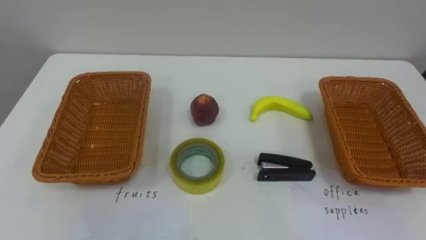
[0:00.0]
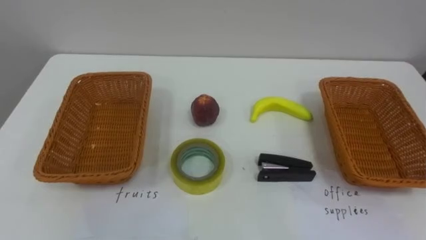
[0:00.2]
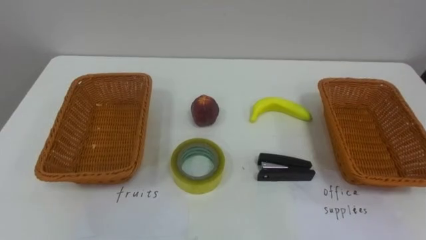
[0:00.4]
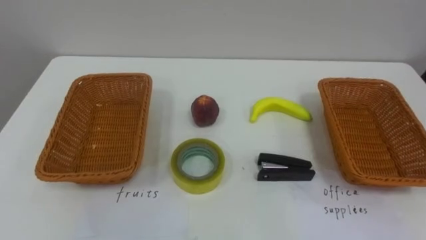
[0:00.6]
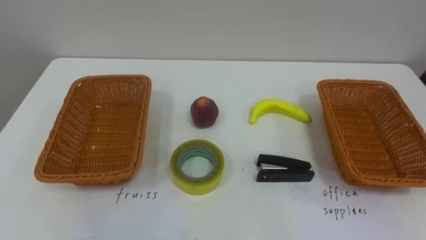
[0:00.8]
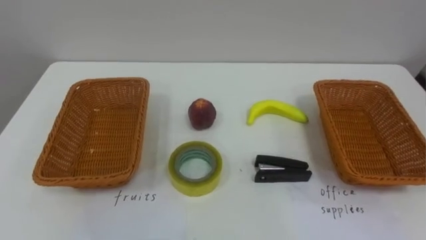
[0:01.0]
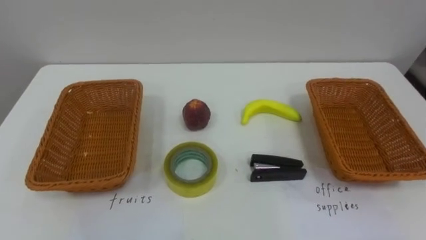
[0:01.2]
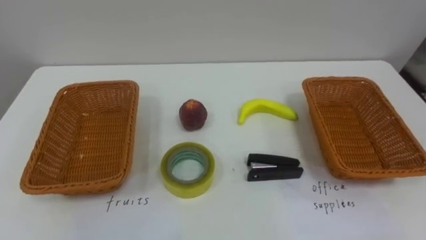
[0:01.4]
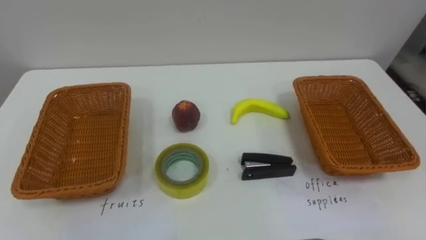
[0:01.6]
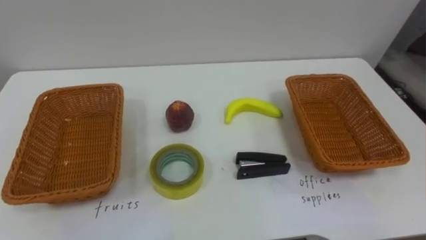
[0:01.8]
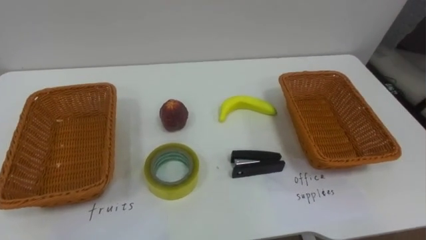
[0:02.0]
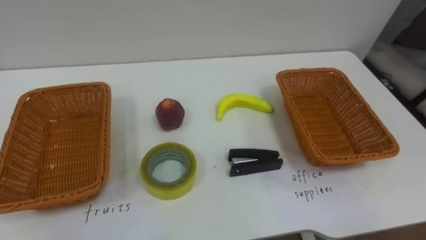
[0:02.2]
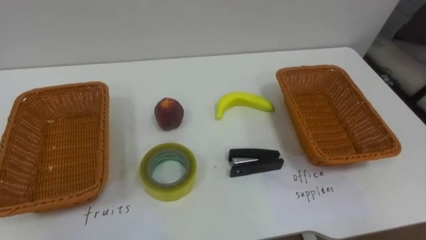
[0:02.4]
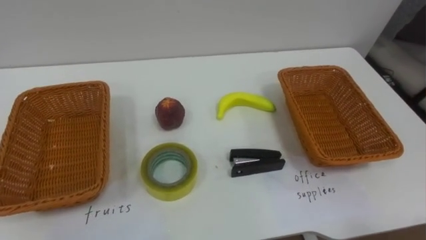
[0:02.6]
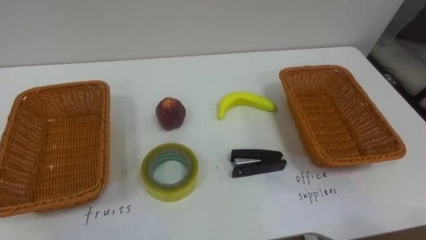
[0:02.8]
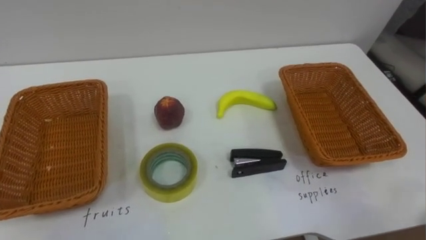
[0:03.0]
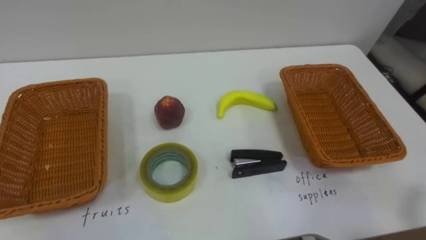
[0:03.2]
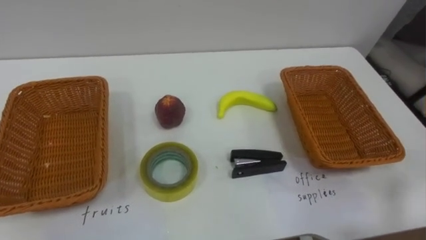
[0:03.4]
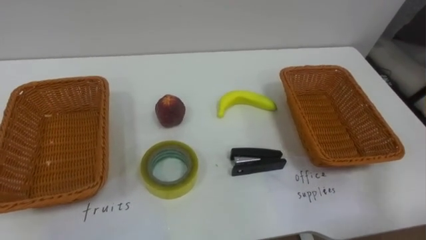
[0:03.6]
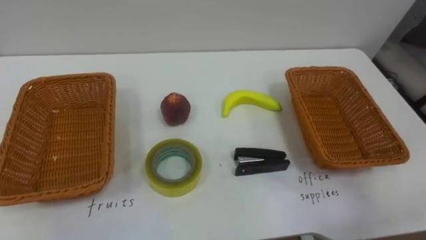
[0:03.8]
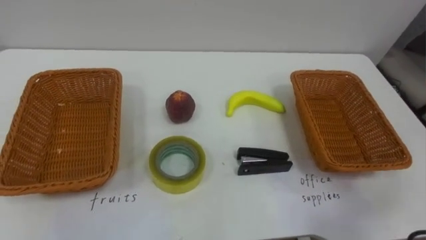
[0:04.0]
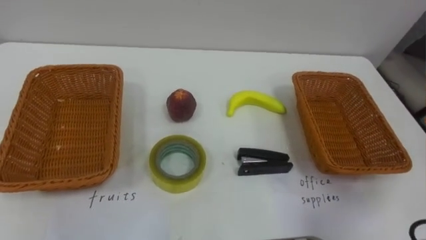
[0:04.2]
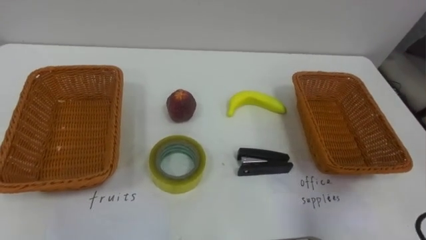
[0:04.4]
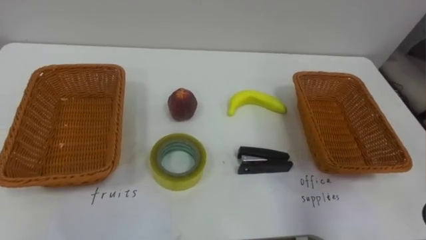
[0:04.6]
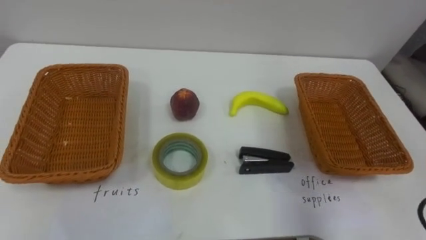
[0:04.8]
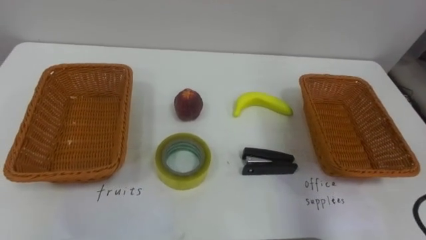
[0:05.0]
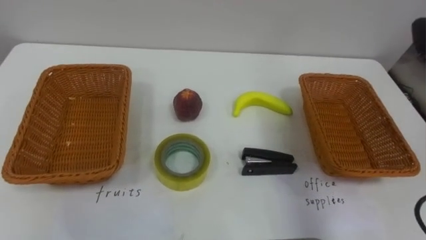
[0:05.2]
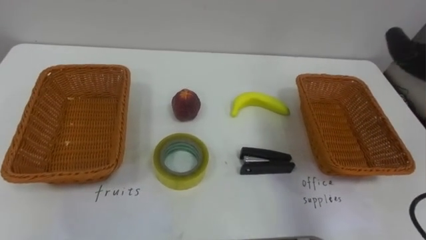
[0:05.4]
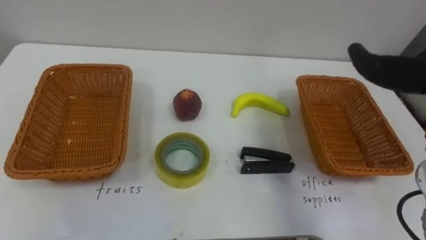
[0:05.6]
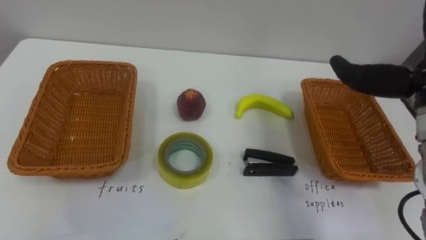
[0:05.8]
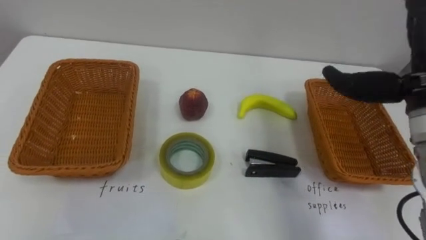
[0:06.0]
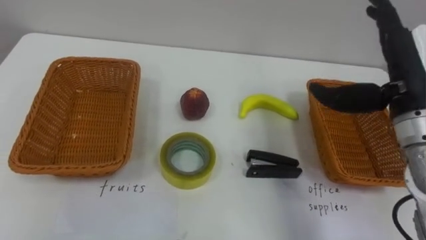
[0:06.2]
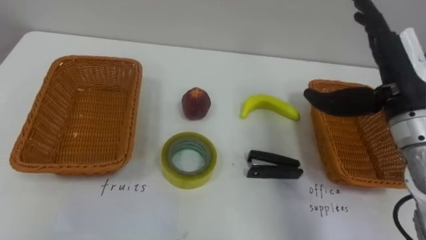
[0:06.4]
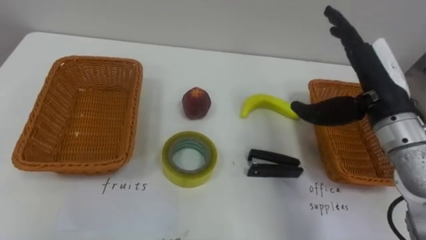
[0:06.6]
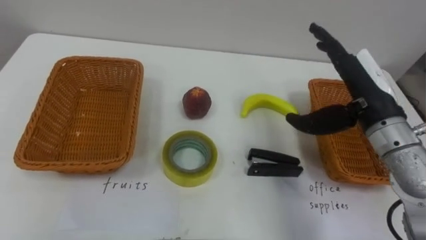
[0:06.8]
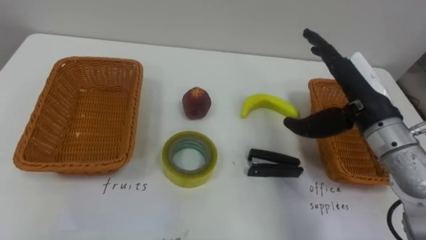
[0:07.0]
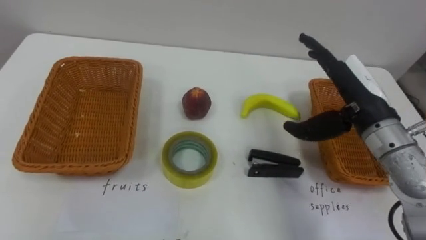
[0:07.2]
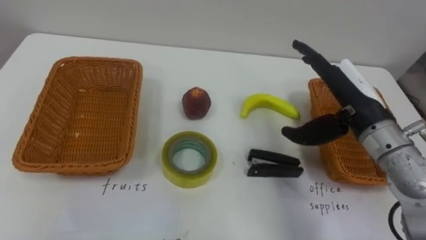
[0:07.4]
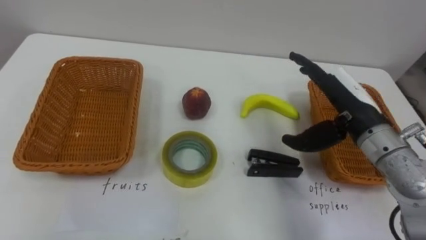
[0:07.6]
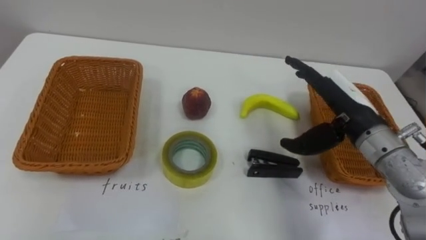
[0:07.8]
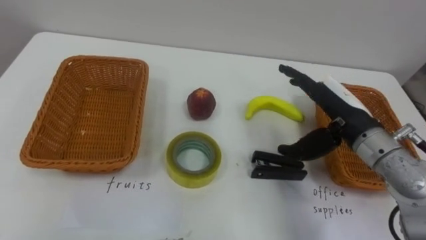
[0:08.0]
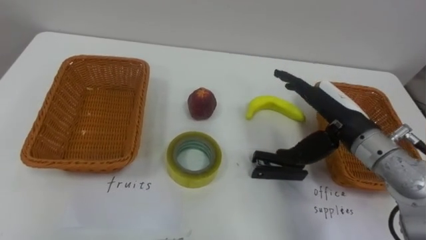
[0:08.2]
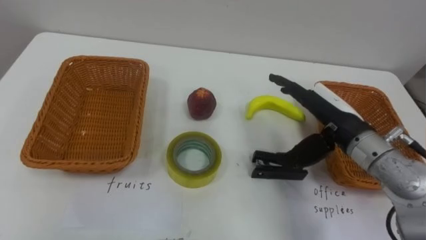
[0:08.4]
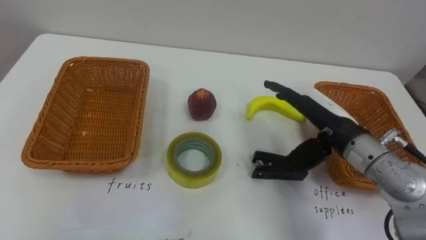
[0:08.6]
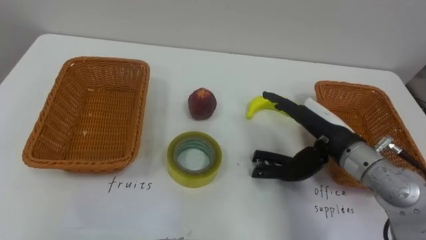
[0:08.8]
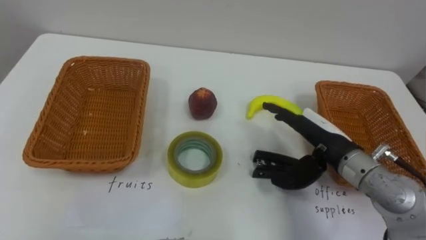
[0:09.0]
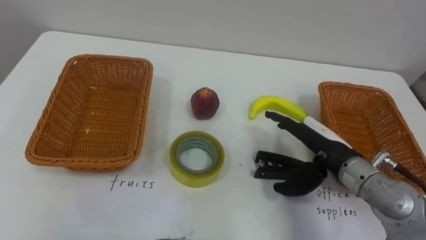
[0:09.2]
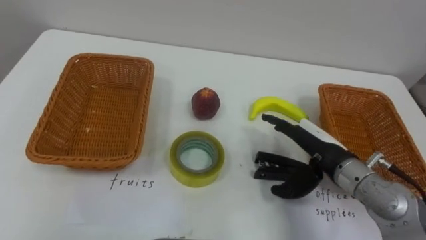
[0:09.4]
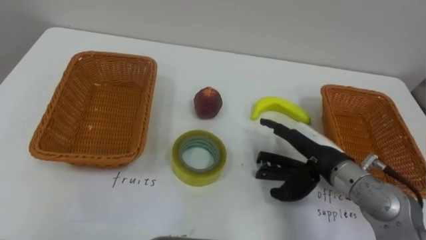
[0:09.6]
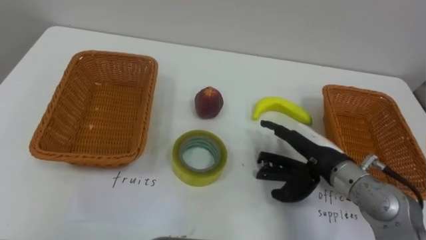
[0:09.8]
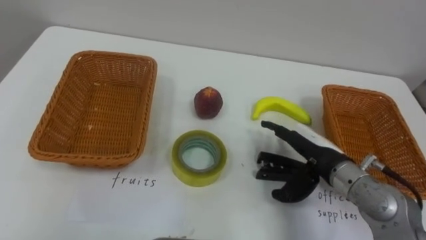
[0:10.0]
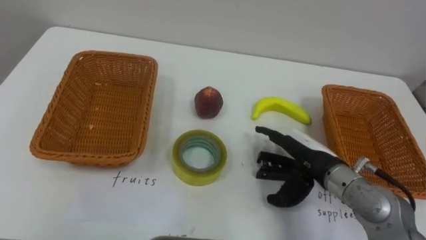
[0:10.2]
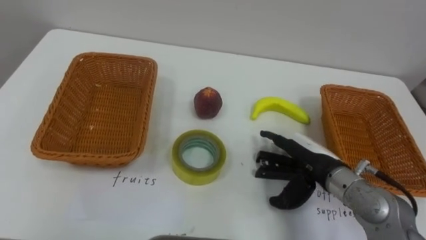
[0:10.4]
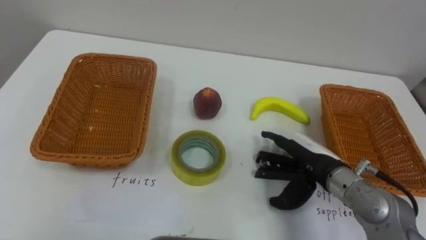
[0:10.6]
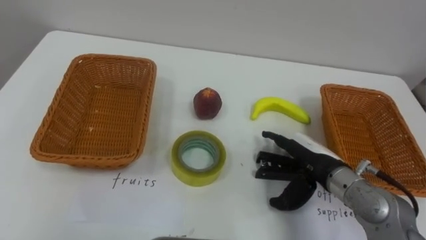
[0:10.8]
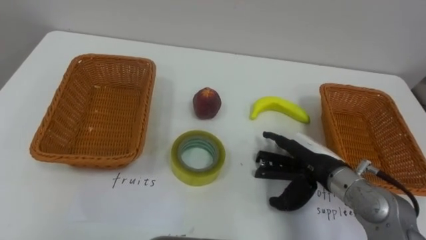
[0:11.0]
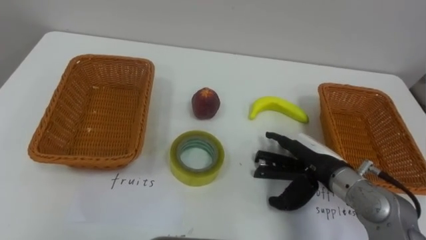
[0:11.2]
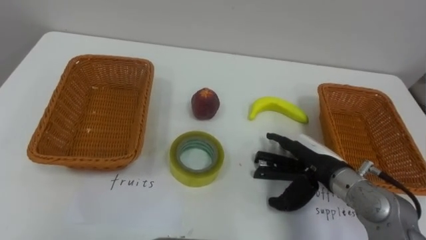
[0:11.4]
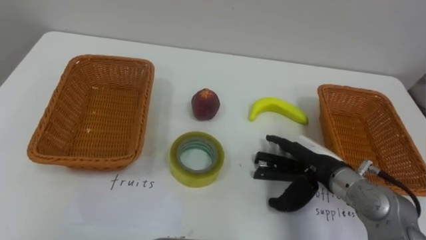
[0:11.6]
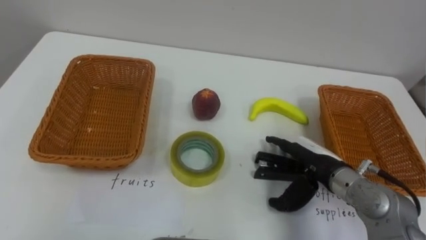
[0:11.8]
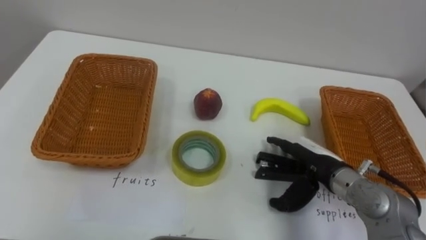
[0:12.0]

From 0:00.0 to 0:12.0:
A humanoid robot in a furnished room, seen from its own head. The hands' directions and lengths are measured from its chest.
Task of the whole recording: Separate the items on the table and place them into the two baskets.
From 0:06.0 to 0:07.6: The right hand heads downward and to the left, covering about 10 cm.
From 0:07.6 to 0:09.0: The right hand moves downward, some 5 cm.

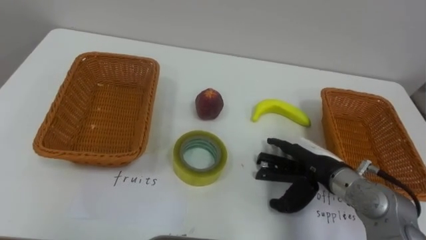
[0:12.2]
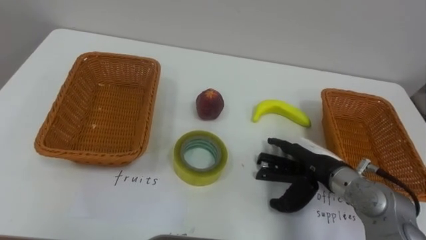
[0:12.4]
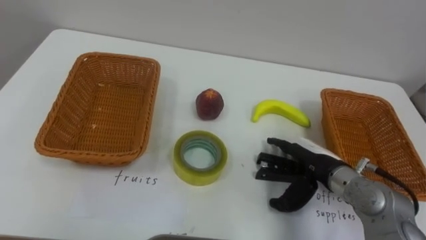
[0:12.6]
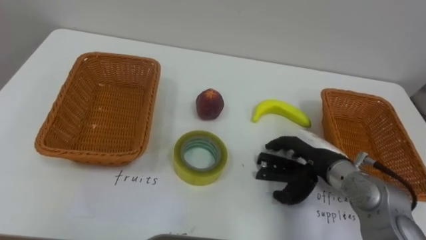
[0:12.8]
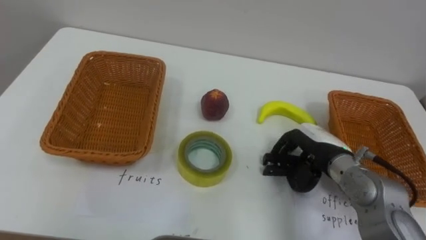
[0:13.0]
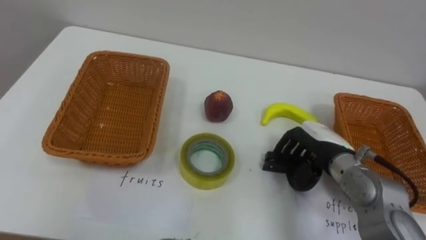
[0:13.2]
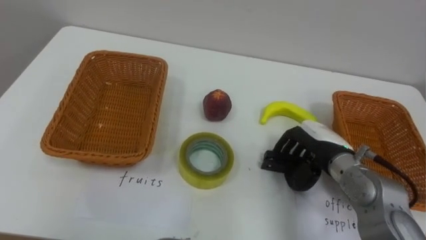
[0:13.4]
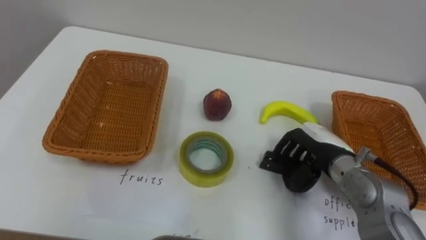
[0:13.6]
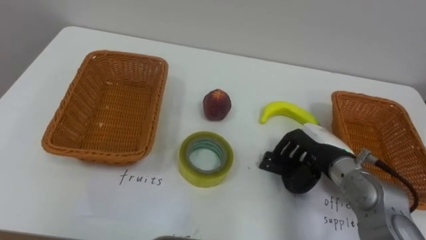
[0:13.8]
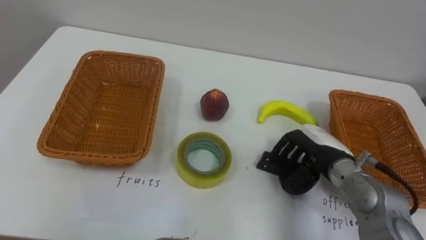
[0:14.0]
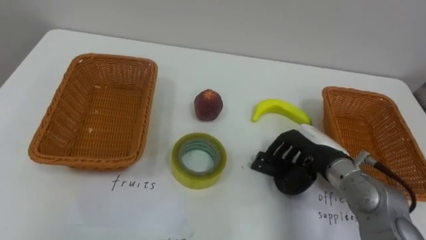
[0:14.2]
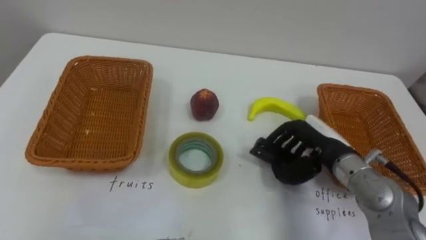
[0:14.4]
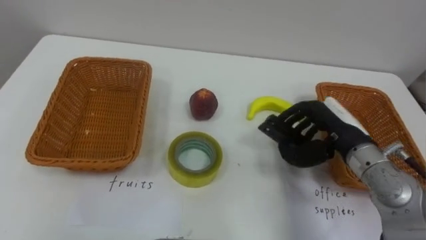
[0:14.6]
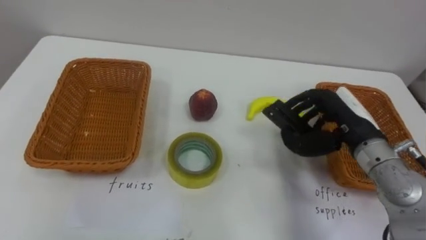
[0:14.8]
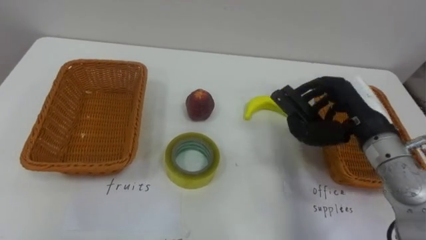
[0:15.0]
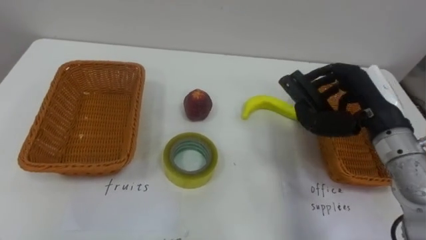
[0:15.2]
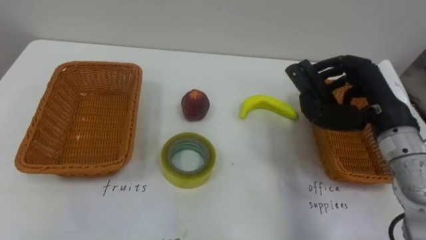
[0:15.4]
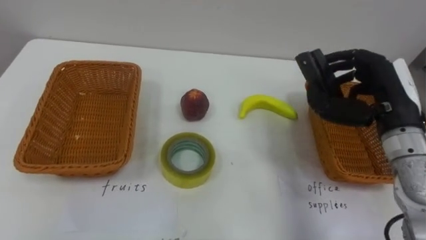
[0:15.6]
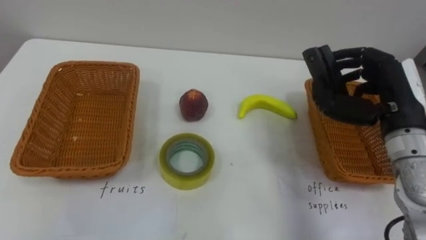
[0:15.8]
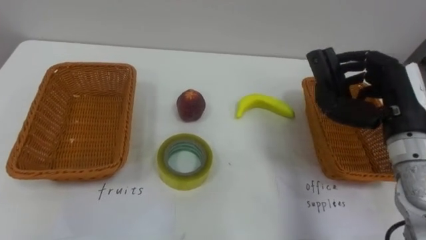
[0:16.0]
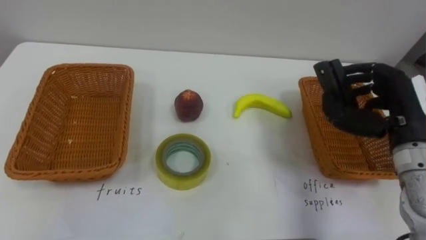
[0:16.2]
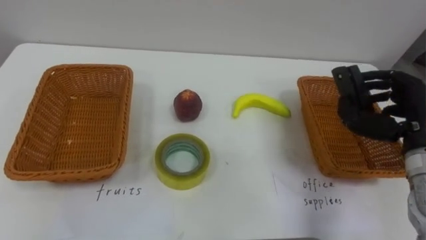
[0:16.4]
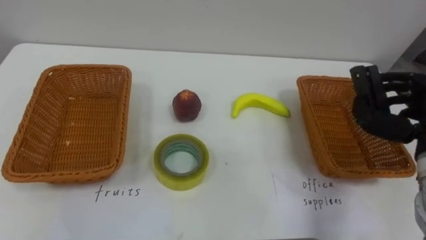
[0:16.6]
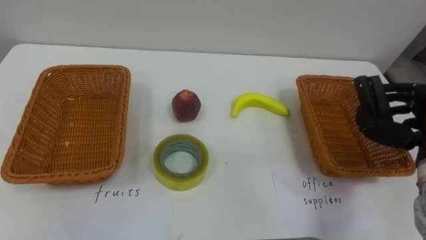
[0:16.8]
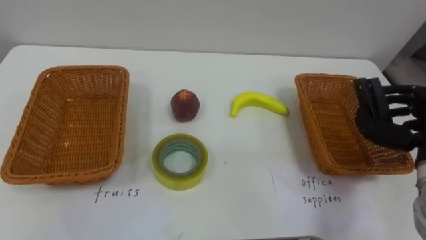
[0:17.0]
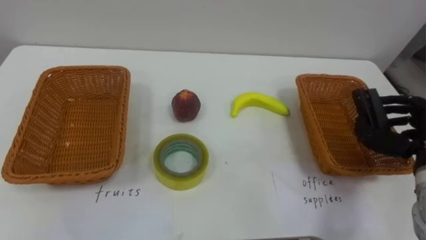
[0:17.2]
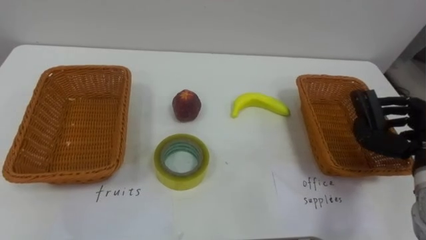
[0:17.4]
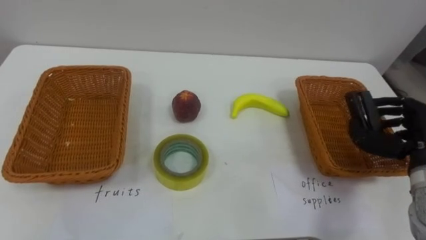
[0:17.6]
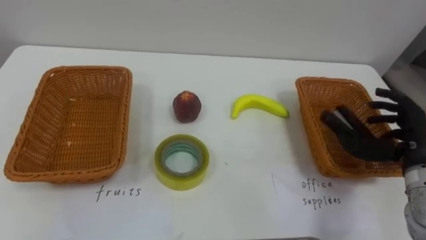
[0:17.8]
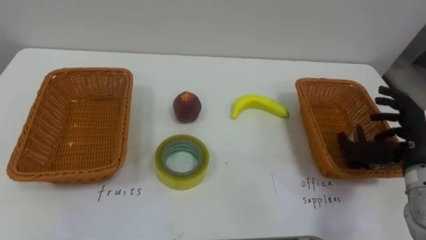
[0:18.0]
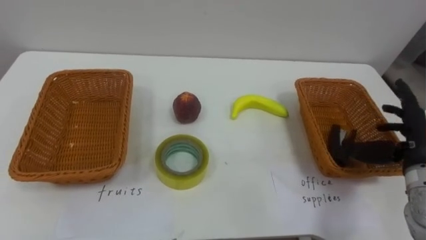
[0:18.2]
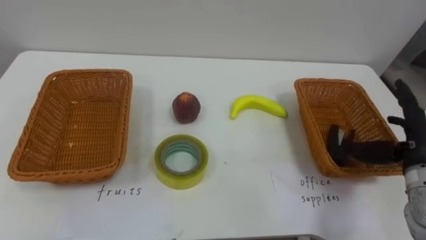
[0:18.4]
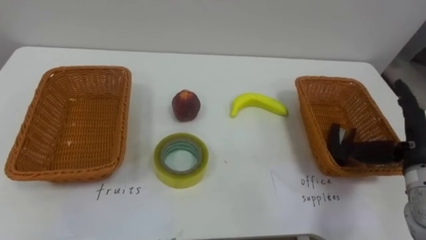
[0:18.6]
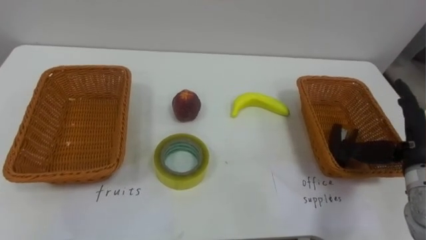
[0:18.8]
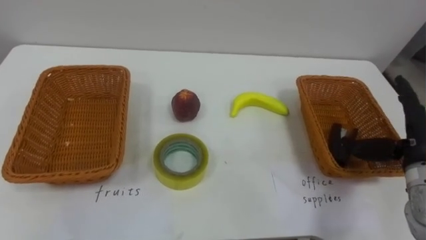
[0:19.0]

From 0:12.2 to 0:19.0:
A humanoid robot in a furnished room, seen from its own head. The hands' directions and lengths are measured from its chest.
Task of the whole recording: Separate the items on the table and place them into the two baskets.
From 0:12.2 to 0:13.6: The right hand closes its fingers.
From 0:13.6 to 0:15.0: The right hand travels upward by about 10 cm.
From 0:15.0 to 0:16.2: The right hand is displaced to the right by some 5 cm.
From 0:17.6 to 0:19.0: The right hand opens up.
